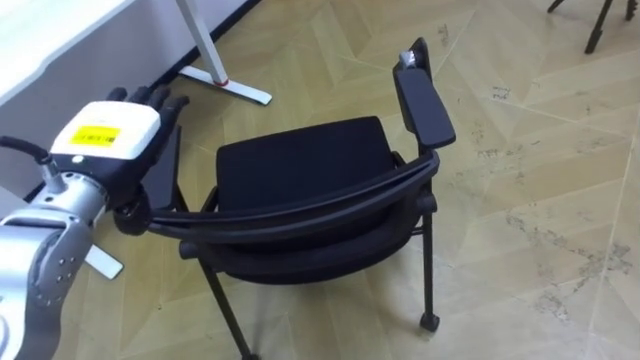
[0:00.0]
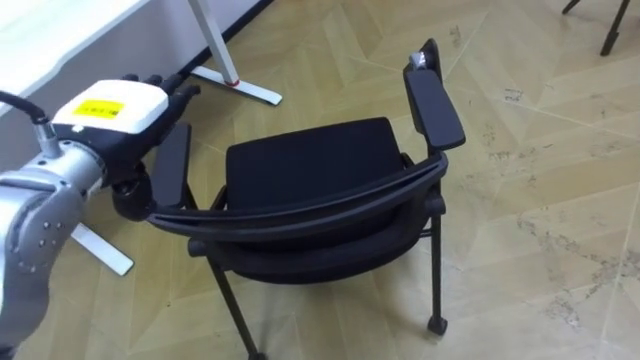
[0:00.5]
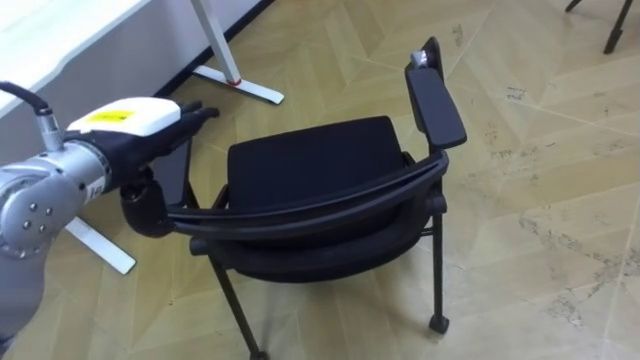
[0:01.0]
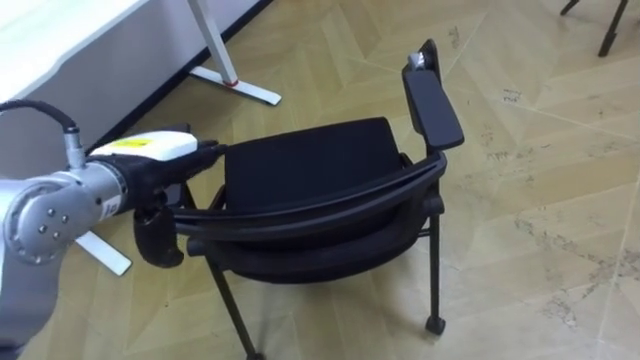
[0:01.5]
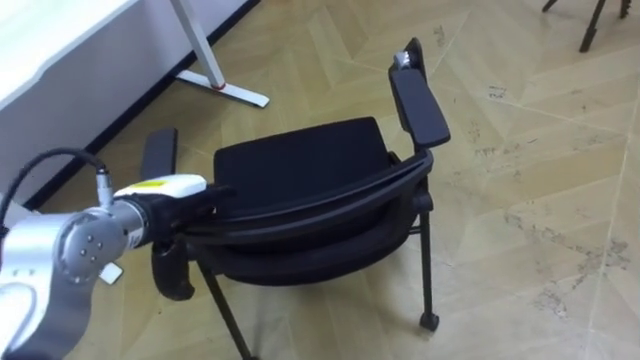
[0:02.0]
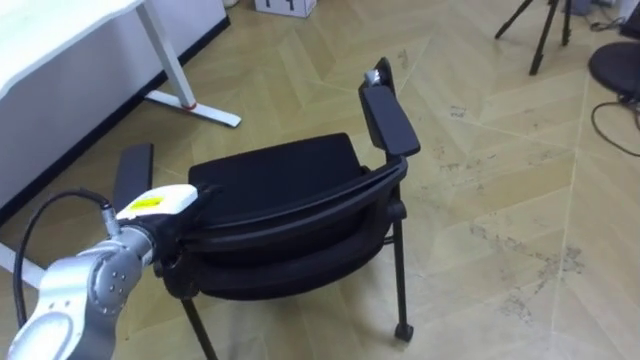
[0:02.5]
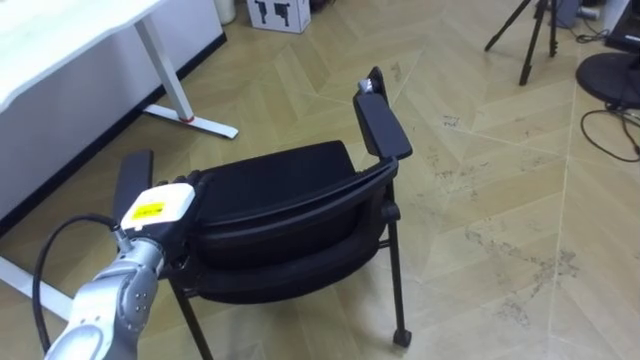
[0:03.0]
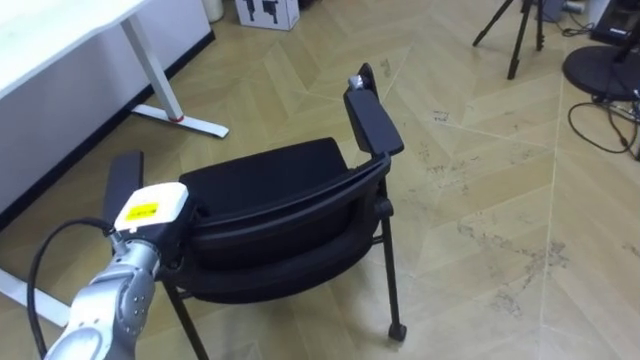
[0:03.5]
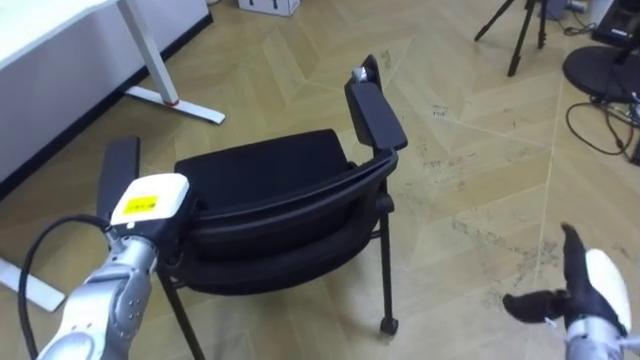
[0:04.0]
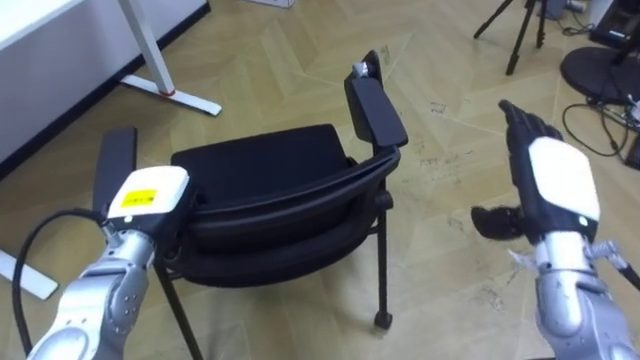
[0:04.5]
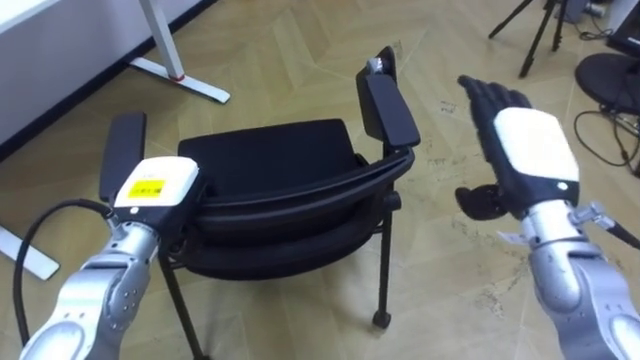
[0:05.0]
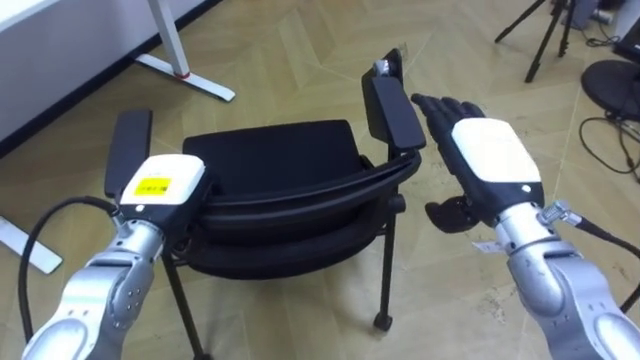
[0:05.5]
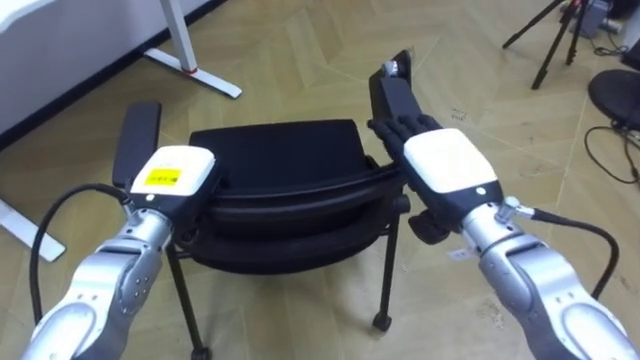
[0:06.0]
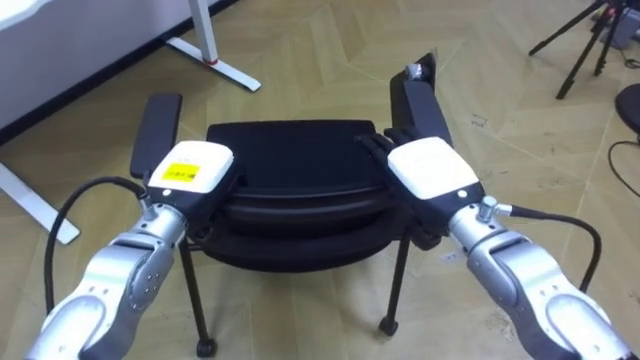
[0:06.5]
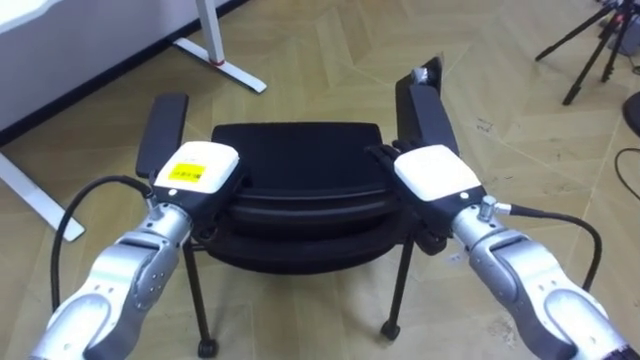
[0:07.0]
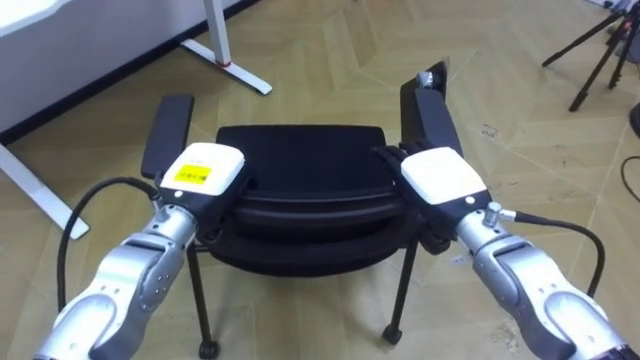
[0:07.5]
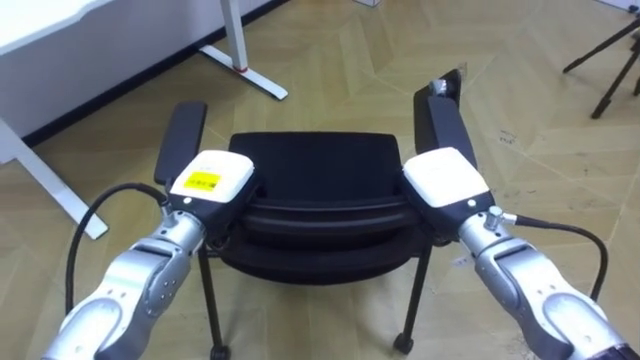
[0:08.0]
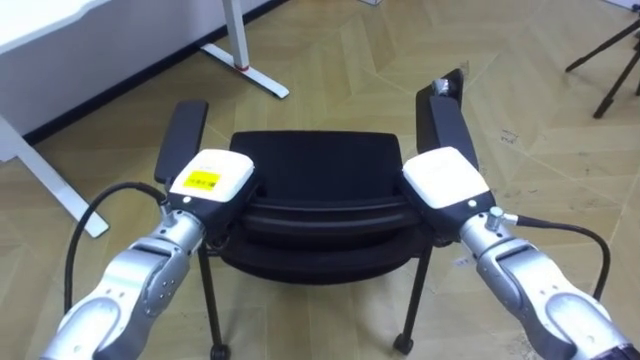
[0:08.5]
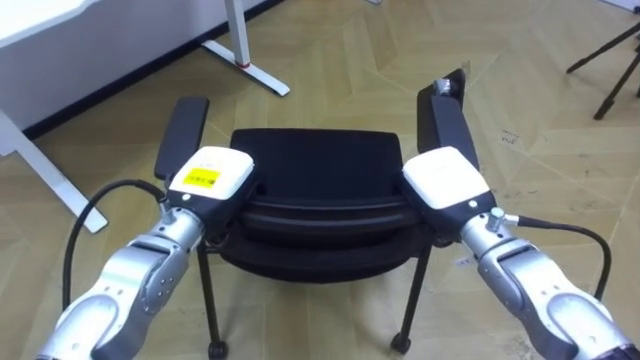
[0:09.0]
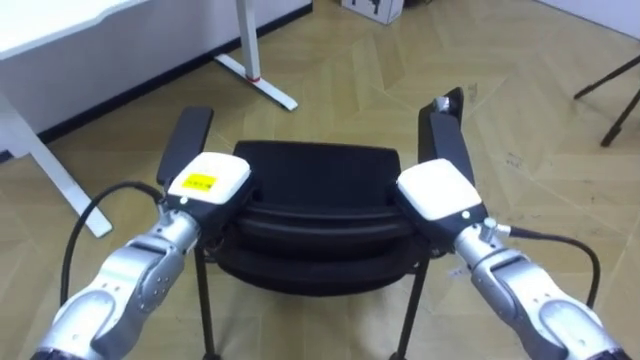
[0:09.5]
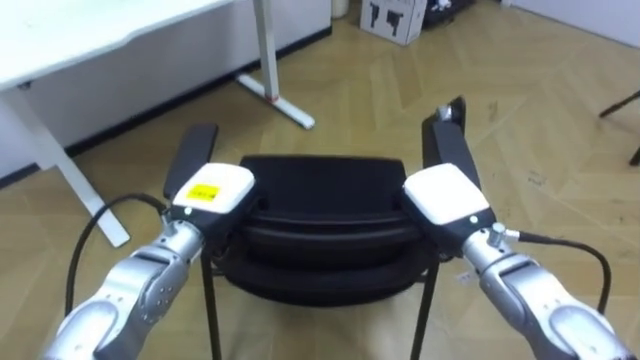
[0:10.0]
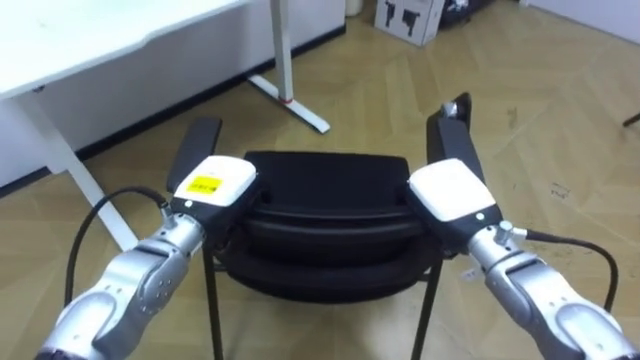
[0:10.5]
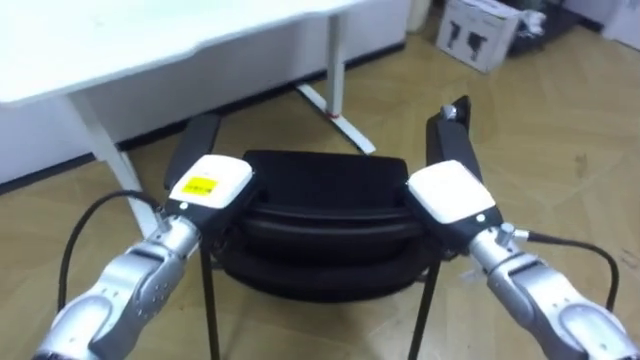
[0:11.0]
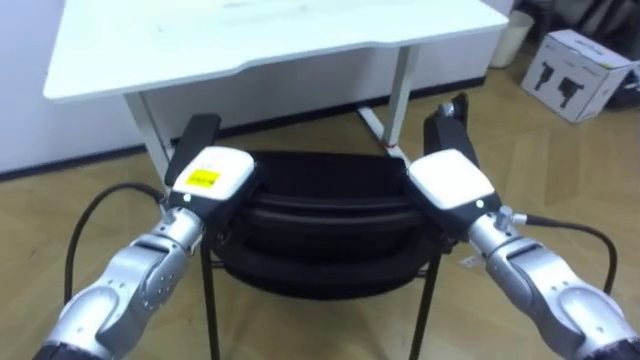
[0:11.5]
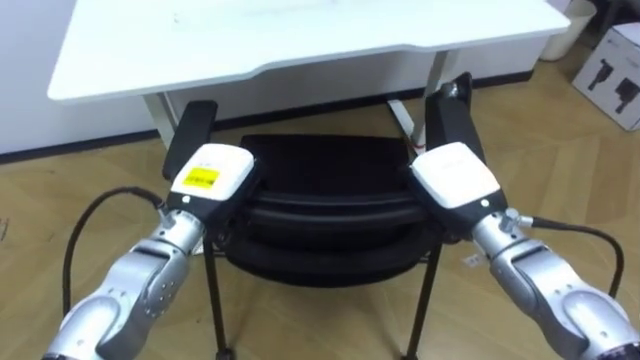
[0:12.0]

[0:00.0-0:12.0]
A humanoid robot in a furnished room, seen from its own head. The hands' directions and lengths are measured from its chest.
Task of the whole recording: Push the chair under the table.
0.0 to 2.0 s: The left hand shifts roughly 5 cm downward.
2.0 to 4.0 s: The left hand shifts by approximately 5 cm, and closes up.
4.0 to 6.0 s: The right hand moves to the left, upward and forward, approximately 25 cm.
6.0 to 8.0 s: The right hand shifts about 5 cm downward, and closes up.
10.0 to 12.0 s: The robot rotates some 30 degrees to its left.

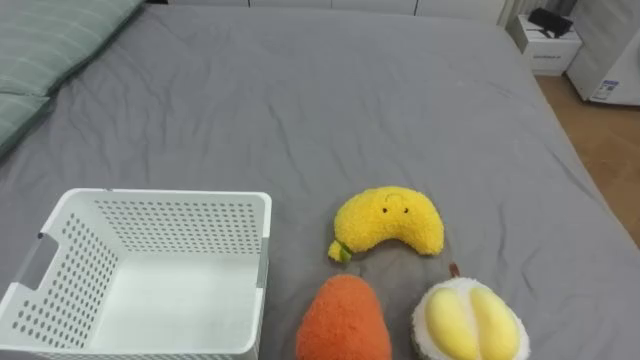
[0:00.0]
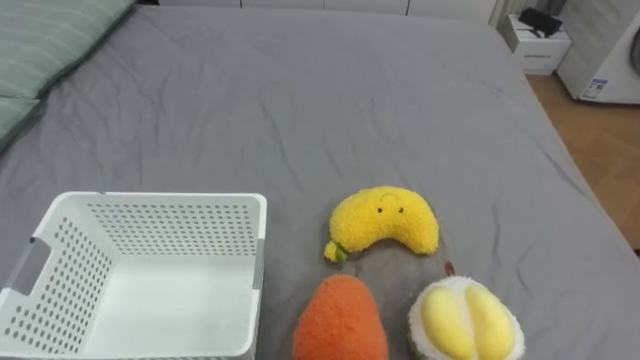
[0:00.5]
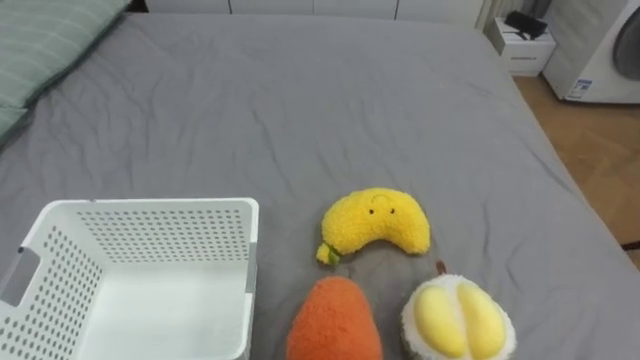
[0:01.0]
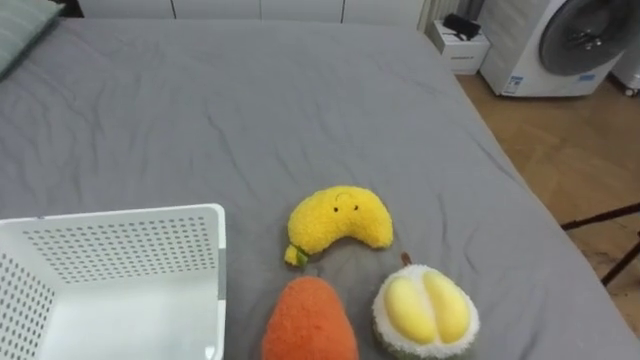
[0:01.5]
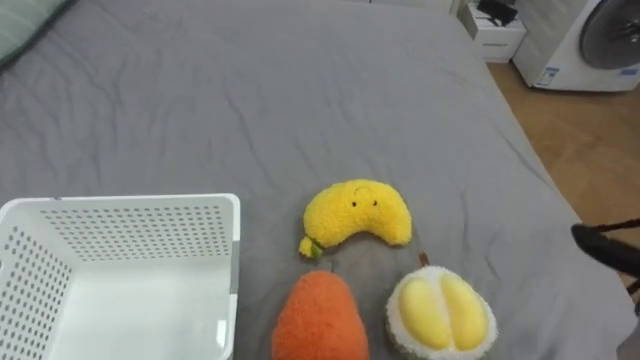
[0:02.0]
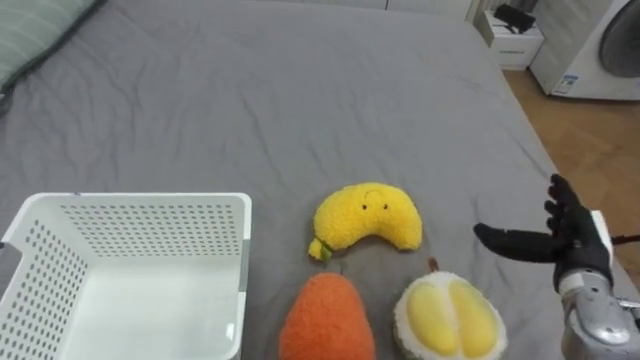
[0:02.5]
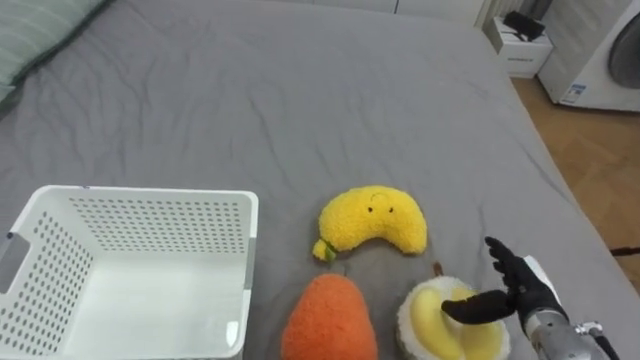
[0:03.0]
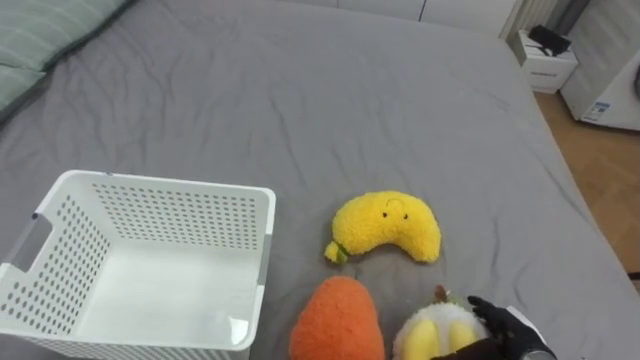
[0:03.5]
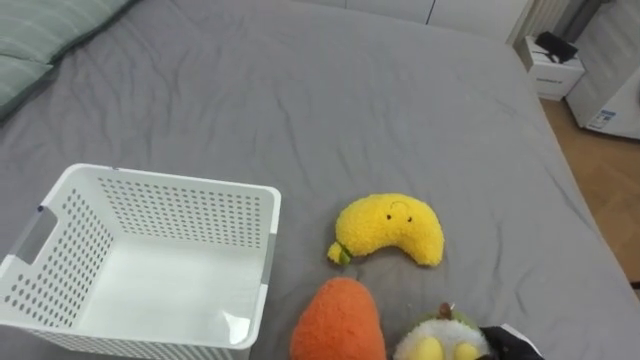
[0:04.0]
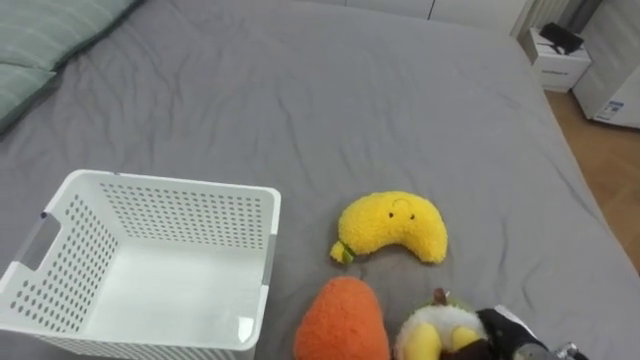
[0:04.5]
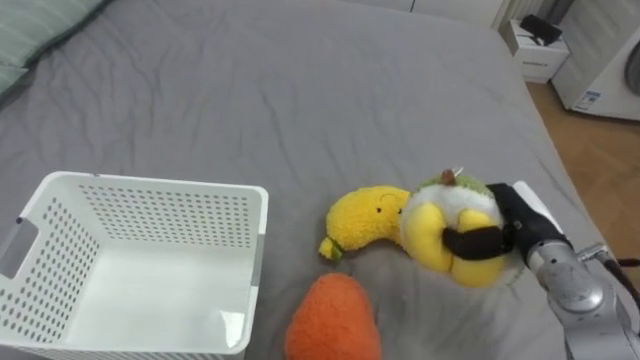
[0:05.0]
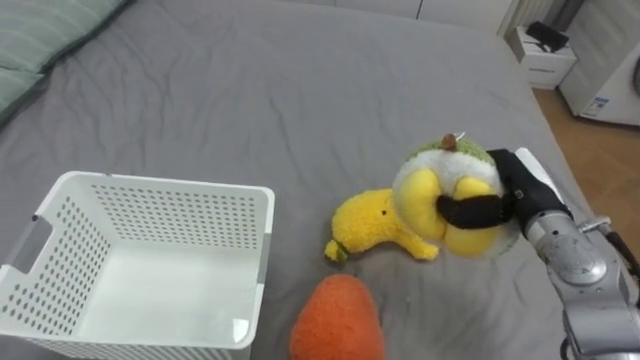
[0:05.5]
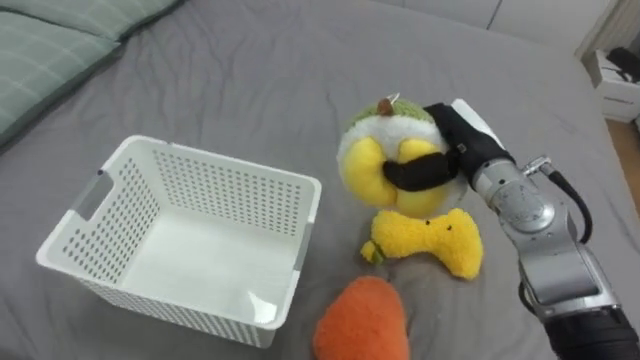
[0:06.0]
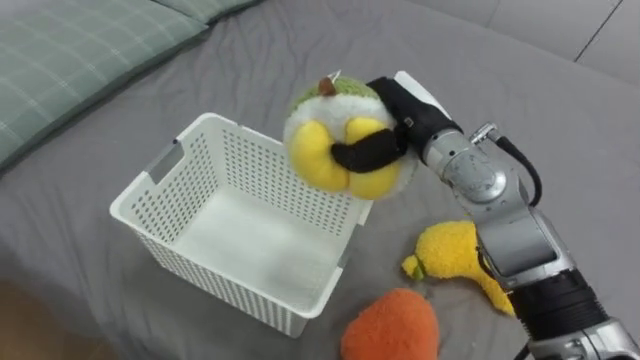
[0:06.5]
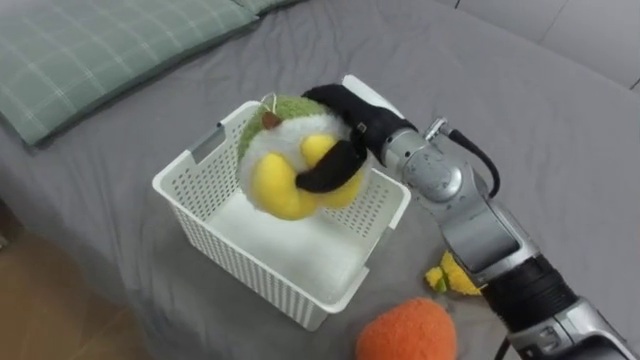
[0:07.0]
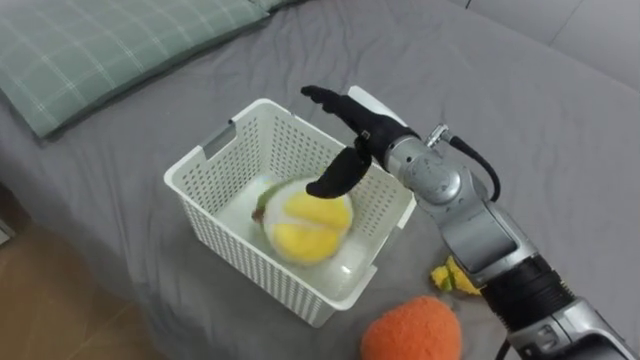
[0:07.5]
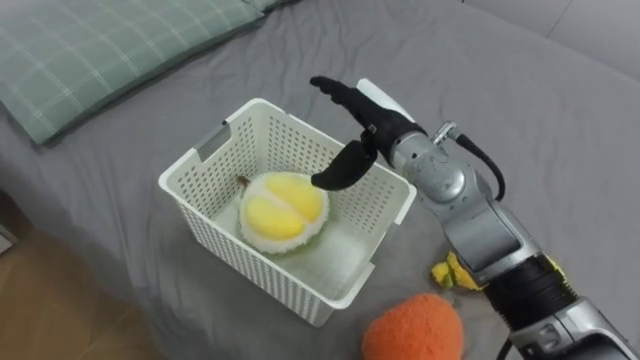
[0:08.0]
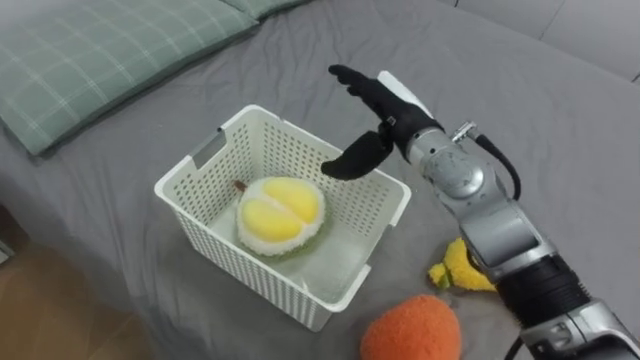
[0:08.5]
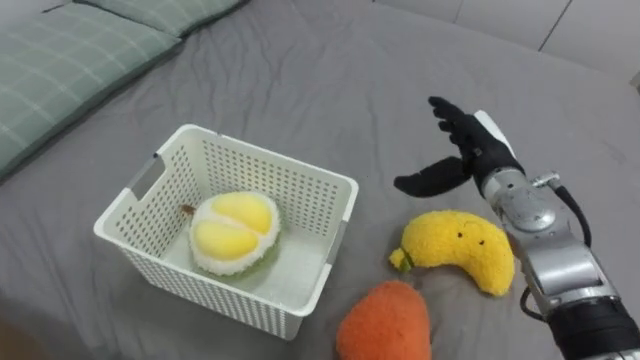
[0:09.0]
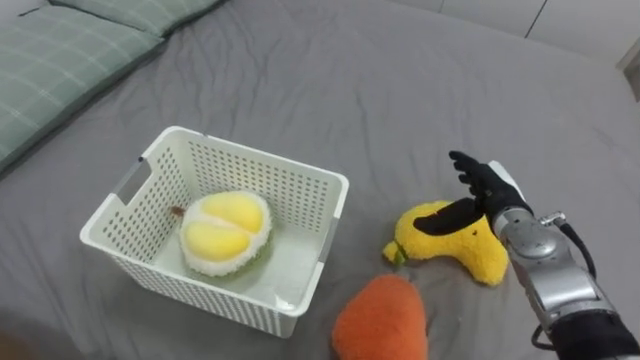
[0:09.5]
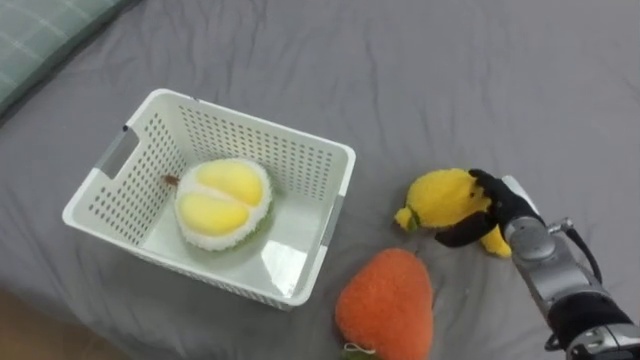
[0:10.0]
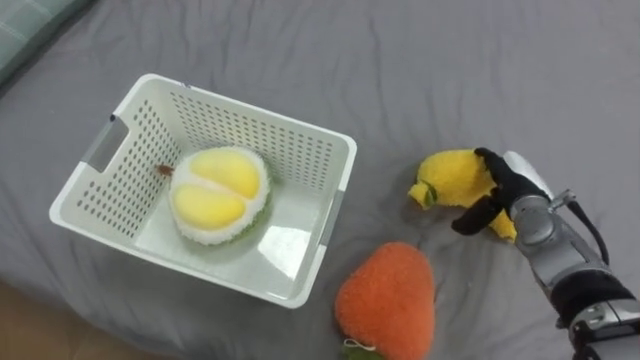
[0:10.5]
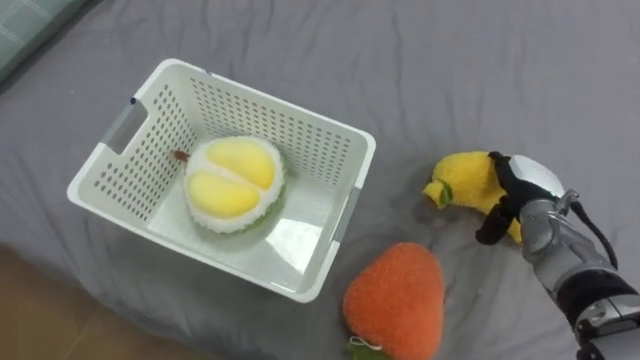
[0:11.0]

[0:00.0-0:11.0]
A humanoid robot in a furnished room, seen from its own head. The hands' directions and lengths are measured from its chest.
Task of the whole recording: Put the toys on the bed into the basket on the left.
3.5 to 5.5 s: The right hand goes roughly 25 cm upward and forward, and closes.
5.5 to 7.5 s: The right hand heads to the left, covering roughly 20 cm, and opens.
7.5 to 9.0 s: The right hand is displaced to the right by approximately 15 cm.
9.0 to 11.0 s: The right hand travels to the right and downward by roughly 10 cm.
